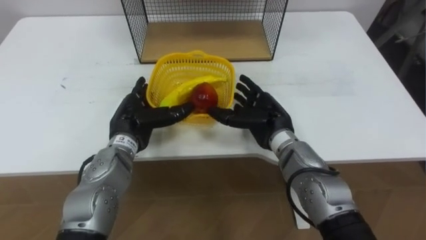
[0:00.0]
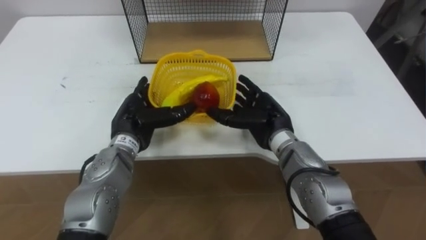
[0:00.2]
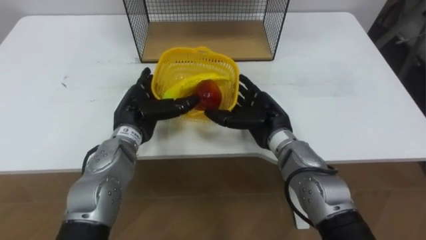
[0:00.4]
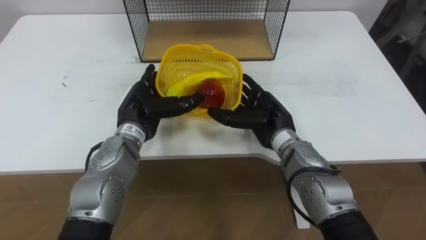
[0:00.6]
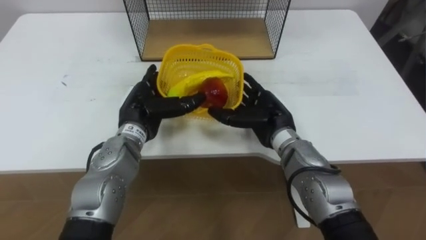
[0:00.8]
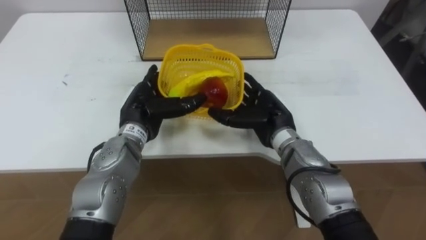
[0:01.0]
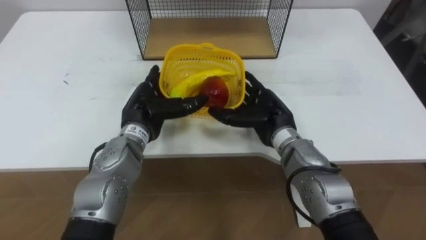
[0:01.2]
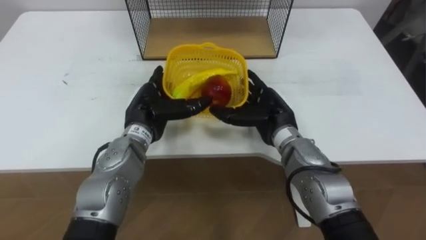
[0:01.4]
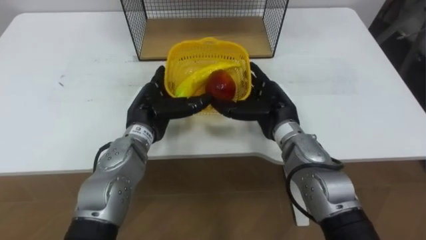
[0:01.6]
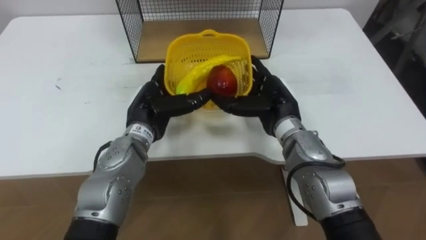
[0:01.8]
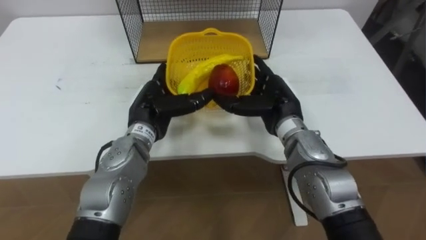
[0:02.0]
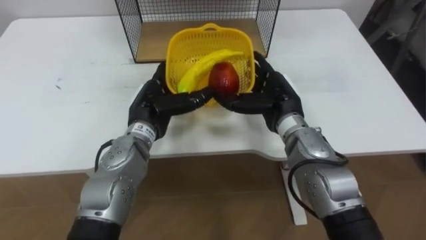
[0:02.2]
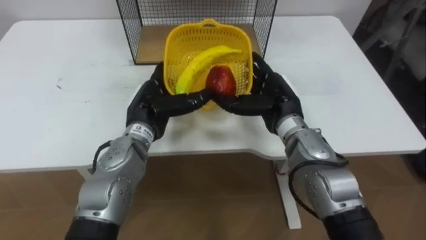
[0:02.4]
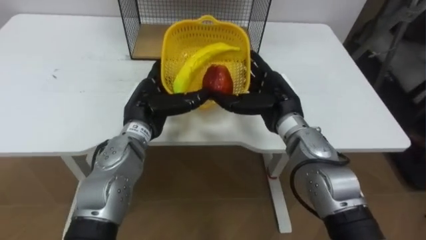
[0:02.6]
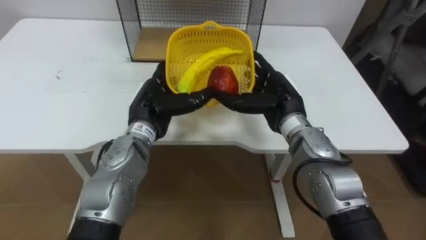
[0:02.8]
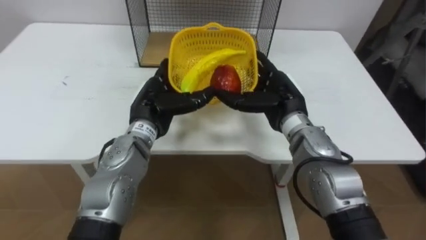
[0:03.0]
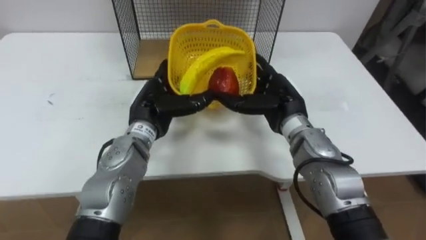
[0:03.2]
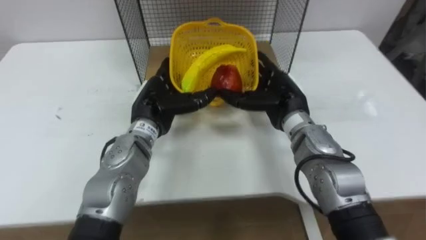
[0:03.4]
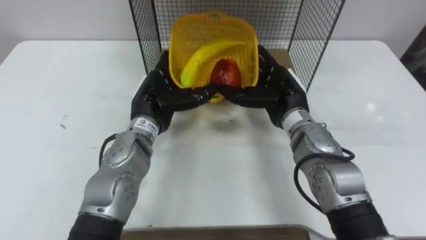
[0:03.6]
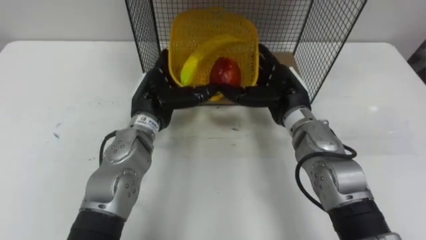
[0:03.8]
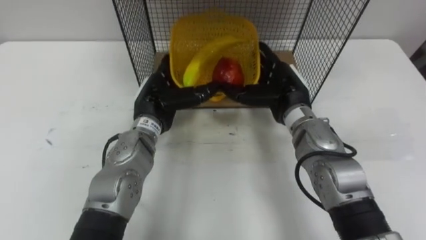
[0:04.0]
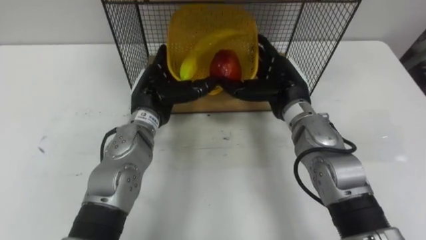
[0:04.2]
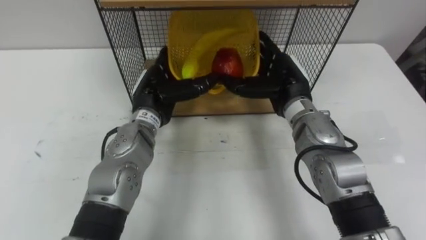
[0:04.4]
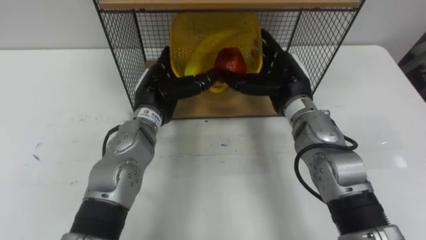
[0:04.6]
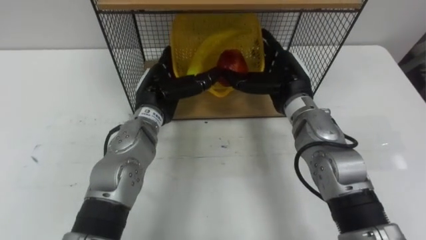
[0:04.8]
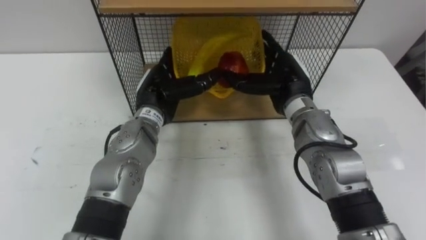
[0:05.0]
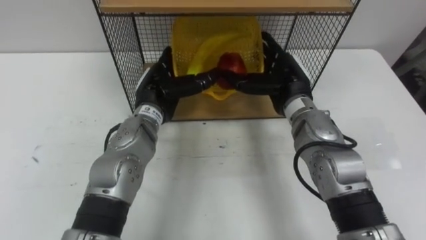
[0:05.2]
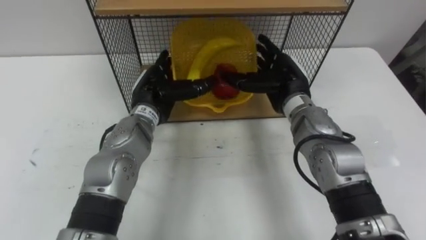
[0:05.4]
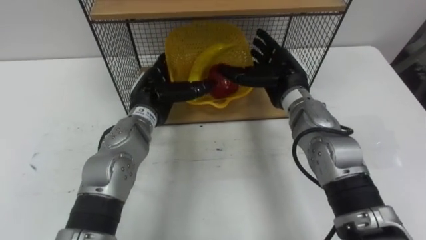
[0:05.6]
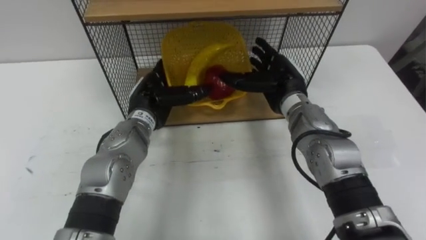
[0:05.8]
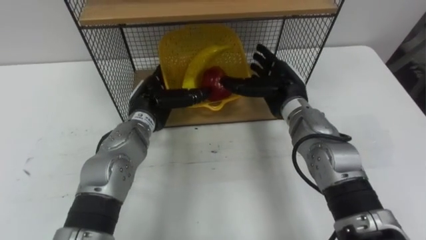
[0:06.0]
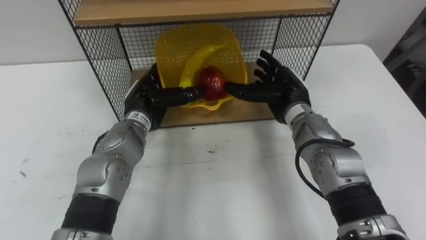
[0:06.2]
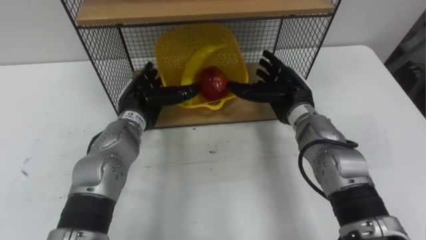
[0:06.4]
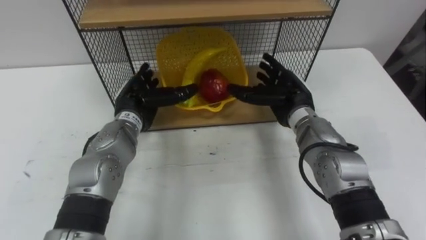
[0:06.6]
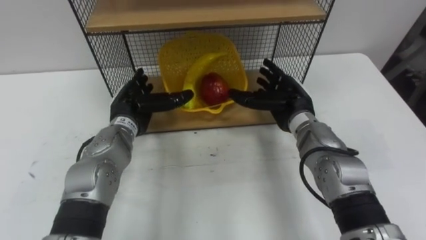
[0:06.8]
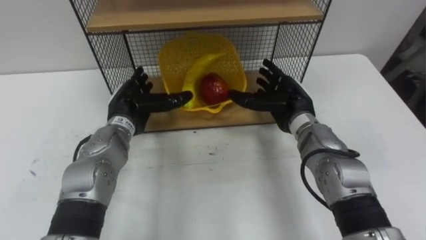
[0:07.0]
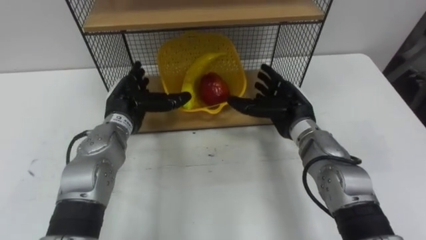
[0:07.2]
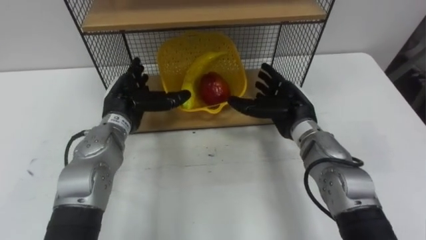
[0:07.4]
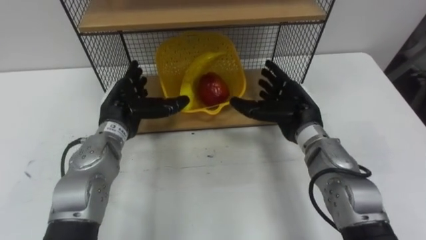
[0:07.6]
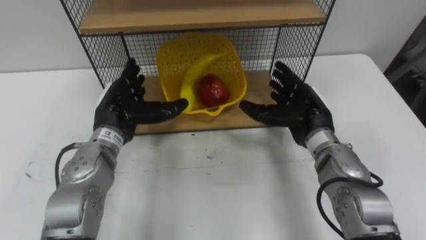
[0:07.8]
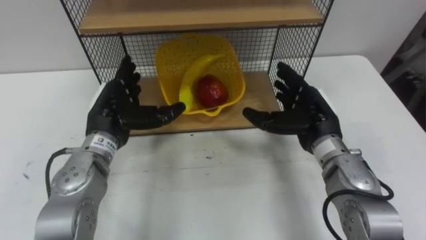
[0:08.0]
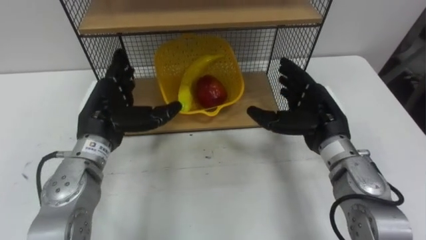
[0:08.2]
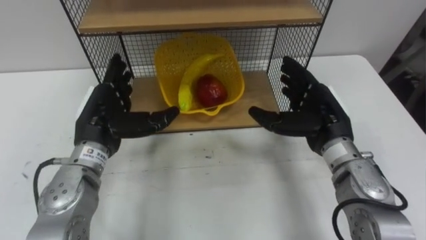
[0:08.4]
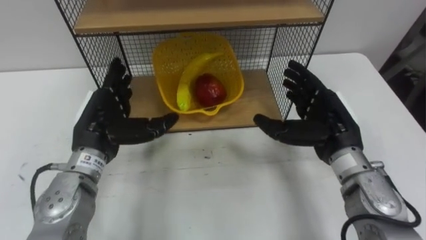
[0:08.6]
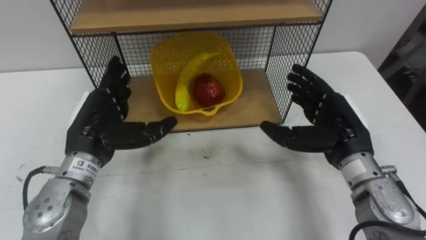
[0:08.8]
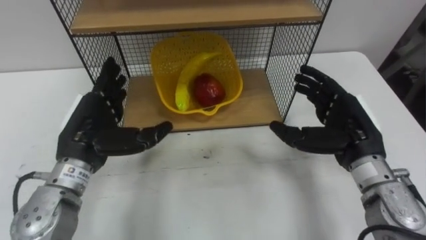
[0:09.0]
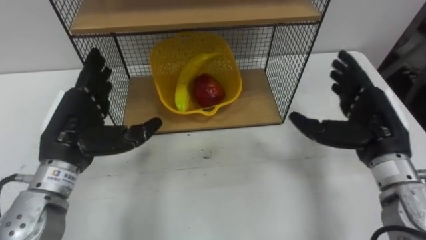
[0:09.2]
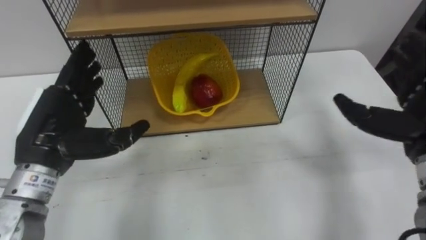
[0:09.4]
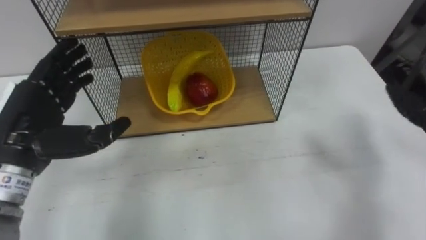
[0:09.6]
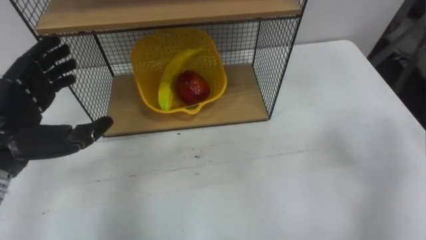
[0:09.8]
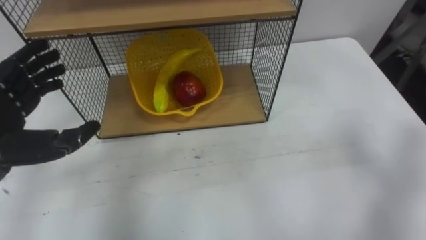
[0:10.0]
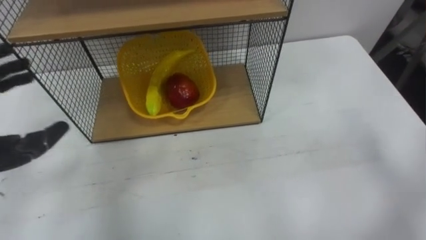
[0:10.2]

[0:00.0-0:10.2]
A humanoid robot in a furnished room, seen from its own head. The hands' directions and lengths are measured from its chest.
Task of the whole recording: Put the fruit on the table into the basket, then place the basket on the shelf.
0:00.0 to 0:01.4: The hands stay close to where they were, moving slightly.
0:05.8 to 0:07.2: The left hand ends up about 5 cm from where it was; the right hand shifts by roughly 5 cm.
0:07.2 to 0:08.8: The left hand shifts roughly 10 cm backward, while the right hand is displaced backward and to the right by approximately 10 cm.

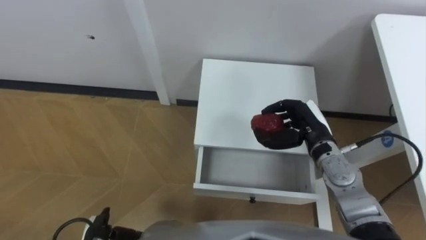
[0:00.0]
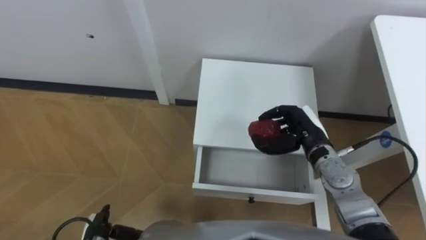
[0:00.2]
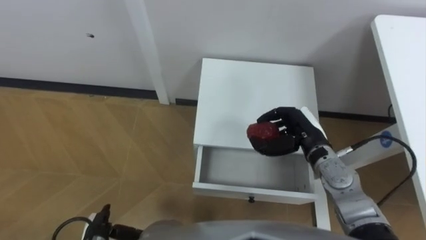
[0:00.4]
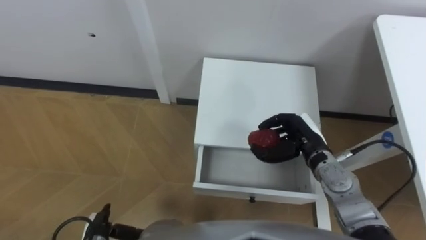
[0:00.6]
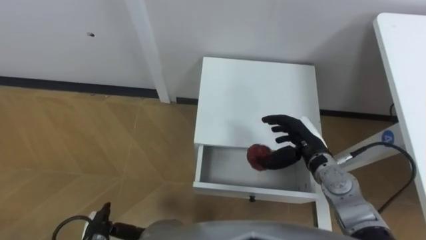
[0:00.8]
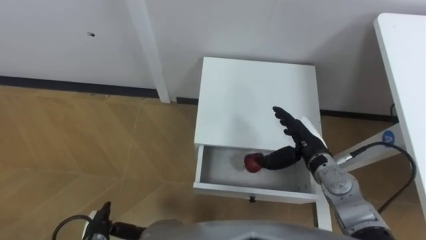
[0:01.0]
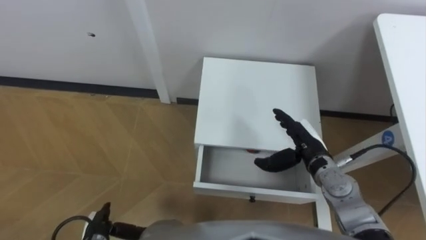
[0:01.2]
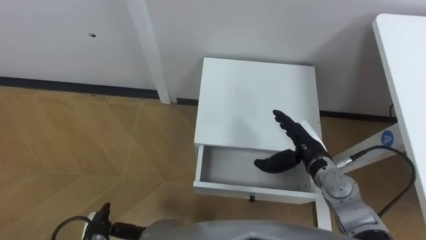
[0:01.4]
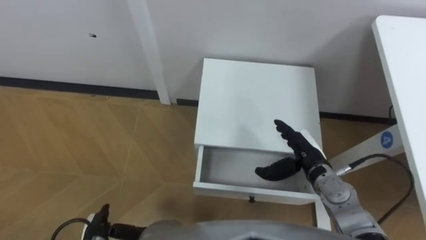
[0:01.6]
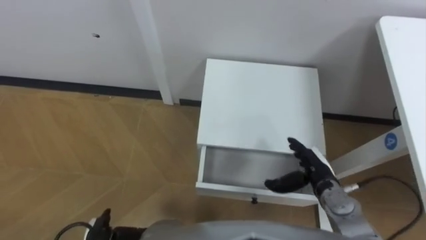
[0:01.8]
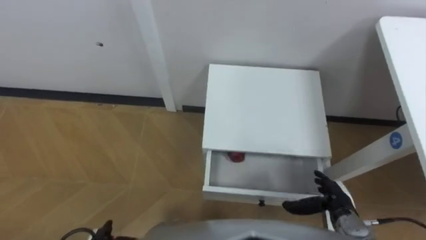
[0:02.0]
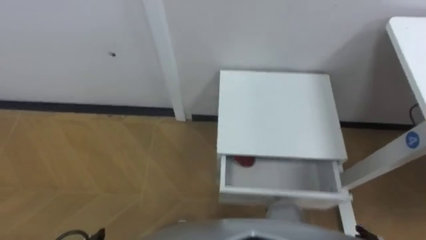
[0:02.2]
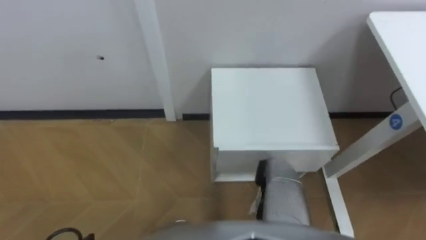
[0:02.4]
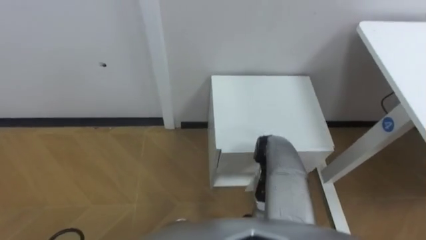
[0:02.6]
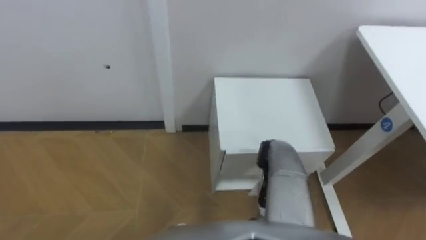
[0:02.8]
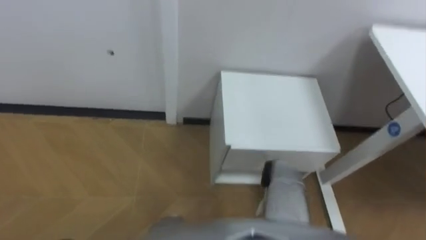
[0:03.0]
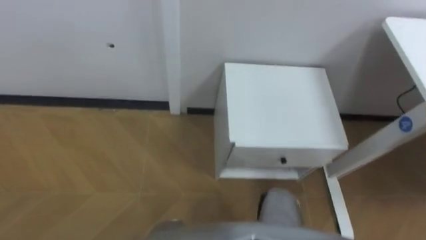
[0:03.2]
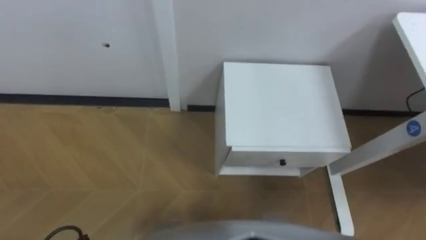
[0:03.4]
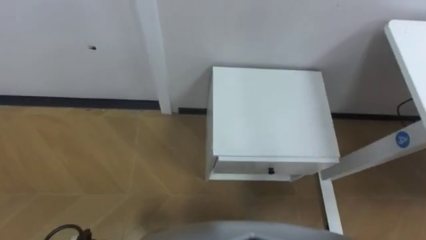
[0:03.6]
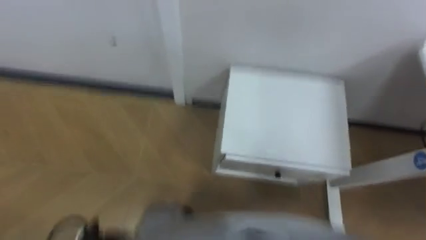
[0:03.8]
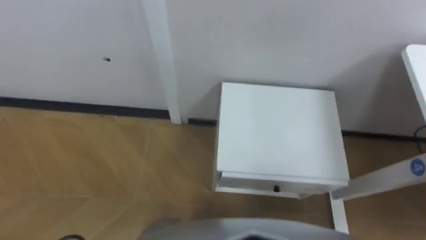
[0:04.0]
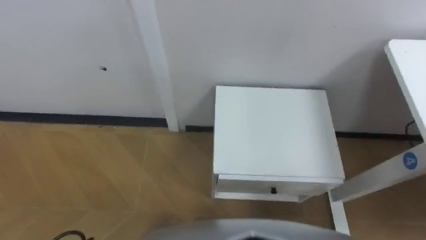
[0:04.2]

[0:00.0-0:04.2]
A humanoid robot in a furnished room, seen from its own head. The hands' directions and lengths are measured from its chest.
Task of the whole recording: Pick up the apple from the table, put it in the drawer, and close the drawer with leg.
0:00.0 to 0:01.4: The right hand opens.

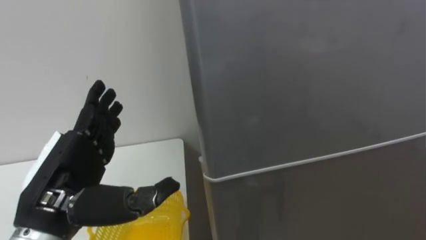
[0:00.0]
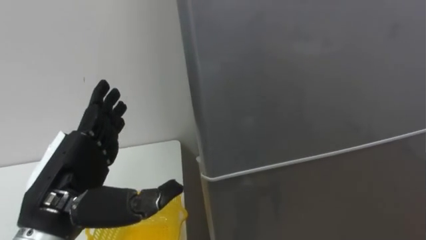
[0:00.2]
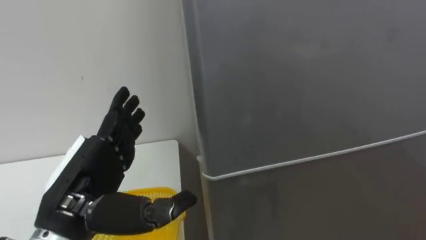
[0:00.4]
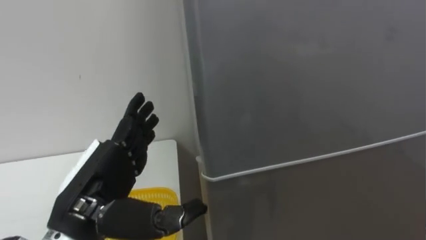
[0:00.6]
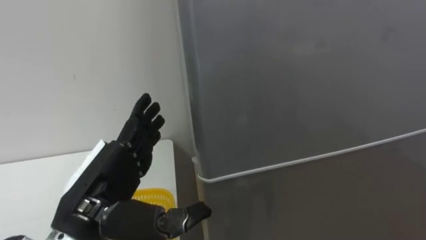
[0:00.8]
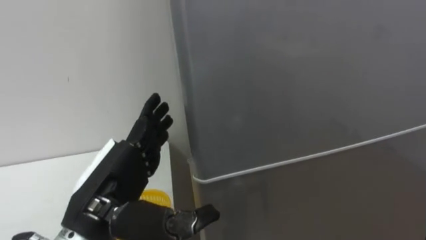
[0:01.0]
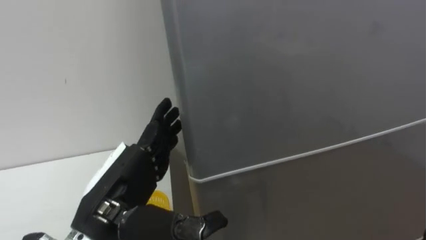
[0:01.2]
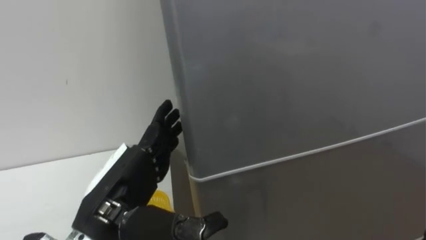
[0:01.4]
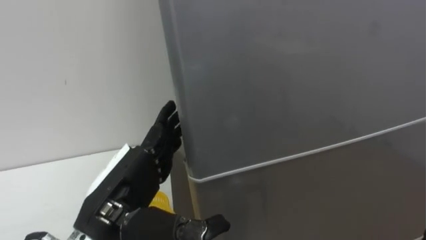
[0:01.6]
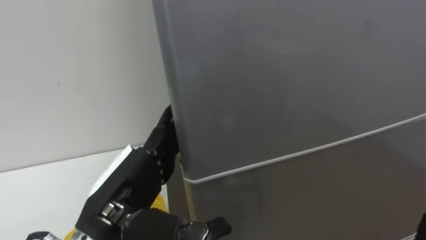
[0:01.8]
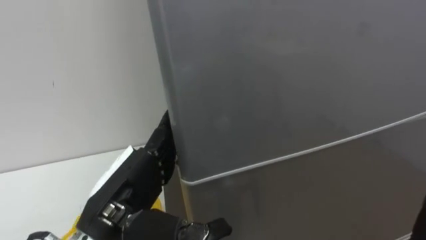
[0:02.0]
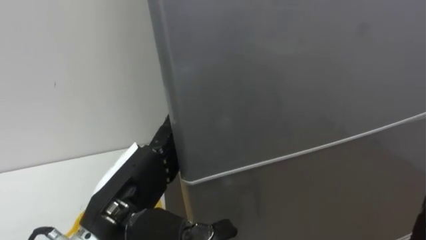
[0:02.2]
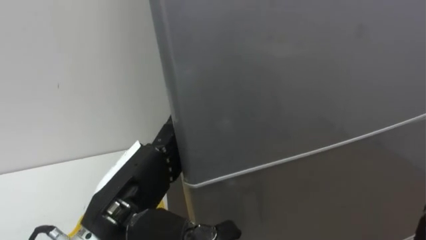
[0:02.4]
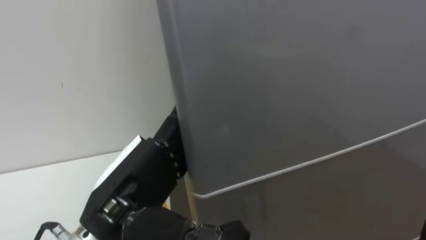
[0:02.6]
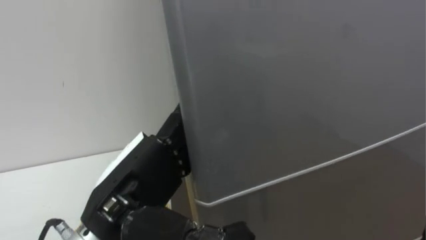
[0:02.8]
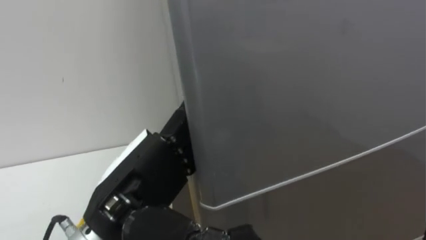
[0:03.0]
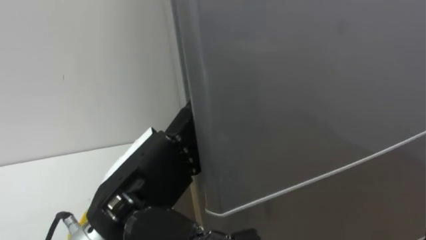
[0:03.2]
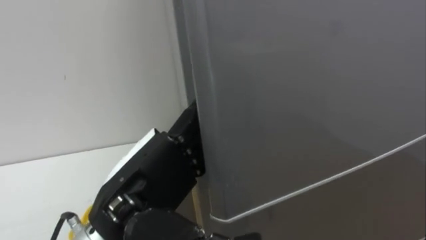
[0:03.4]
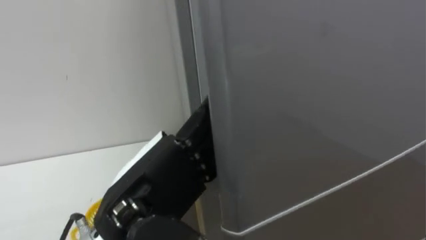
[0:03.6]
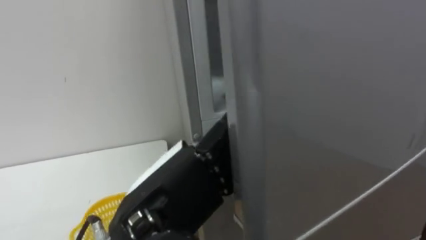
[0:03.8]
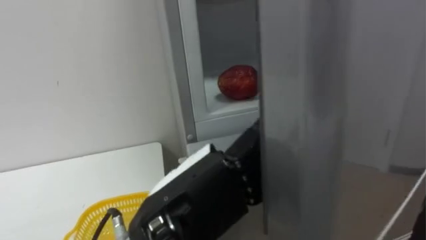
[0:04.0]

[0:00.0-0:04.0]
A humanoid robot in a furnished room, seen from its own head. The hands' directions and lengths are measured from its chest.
Task of the whole recording: Open the refrigerator door, take out the apple and the pomegranate, place them in the fruit basket on the left, and close the refrigerator door.
0:00.0 to 0:01.4: The left hand shifts roughly 5 cm to the right.
0:02.6 to 0:04.0: The left hand is displaced to the right by some 5 cm.
